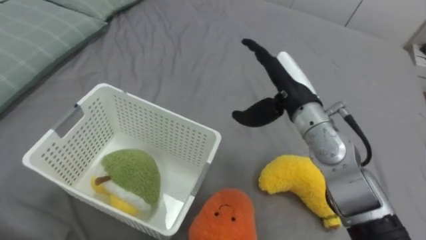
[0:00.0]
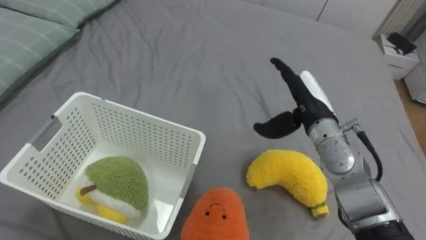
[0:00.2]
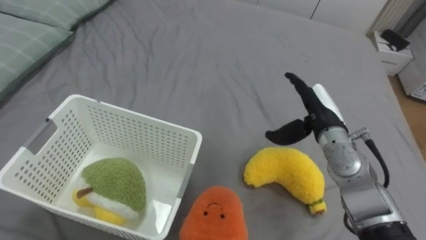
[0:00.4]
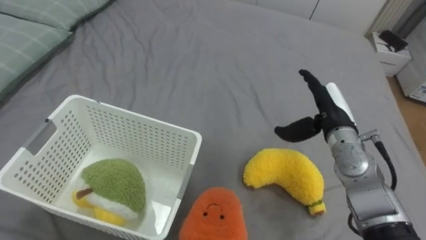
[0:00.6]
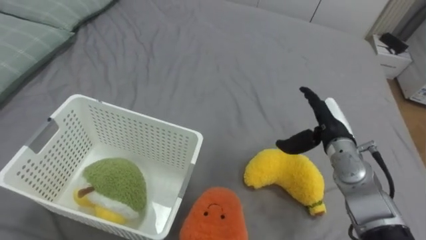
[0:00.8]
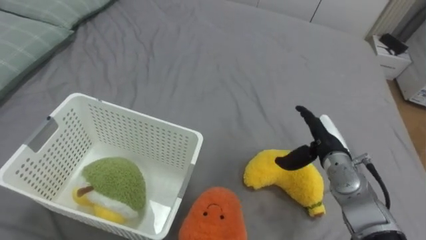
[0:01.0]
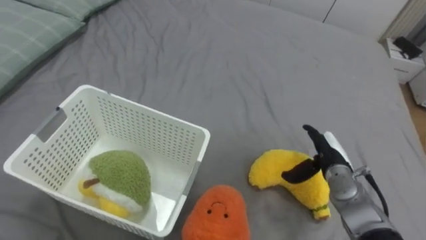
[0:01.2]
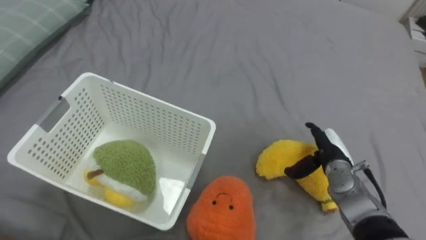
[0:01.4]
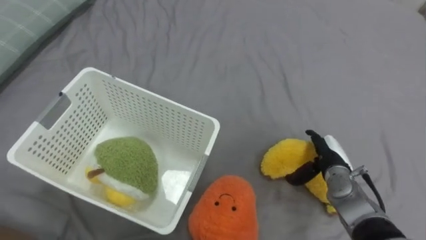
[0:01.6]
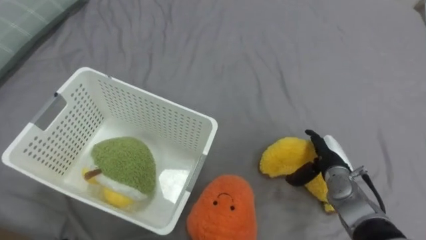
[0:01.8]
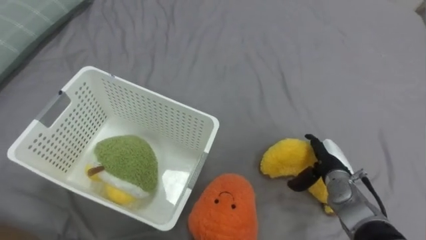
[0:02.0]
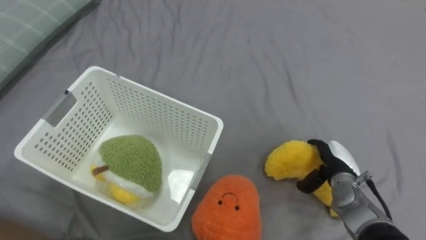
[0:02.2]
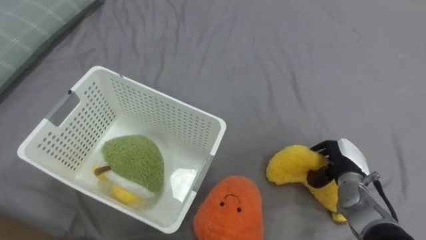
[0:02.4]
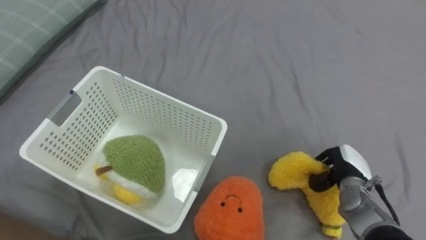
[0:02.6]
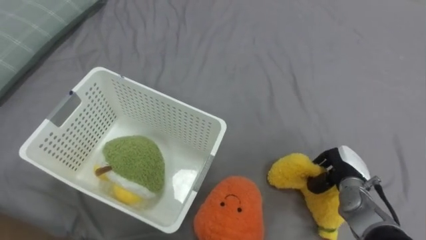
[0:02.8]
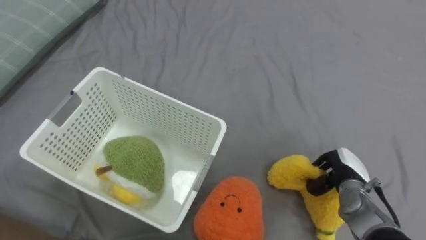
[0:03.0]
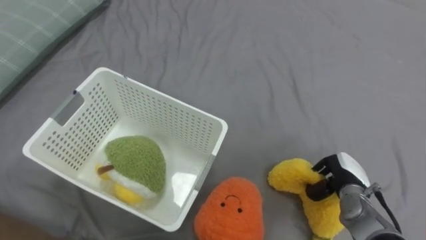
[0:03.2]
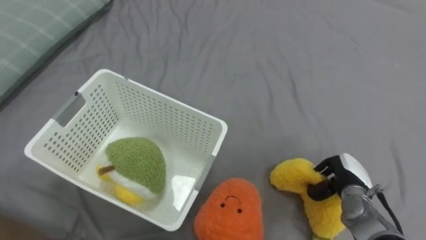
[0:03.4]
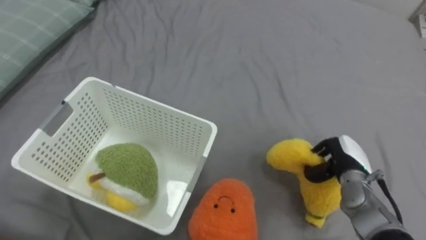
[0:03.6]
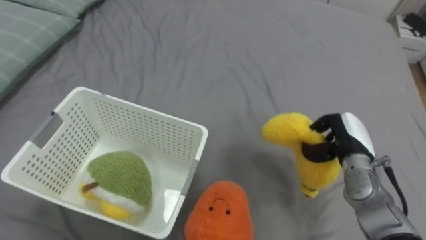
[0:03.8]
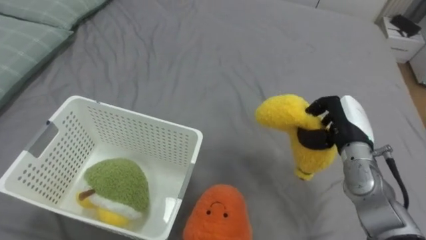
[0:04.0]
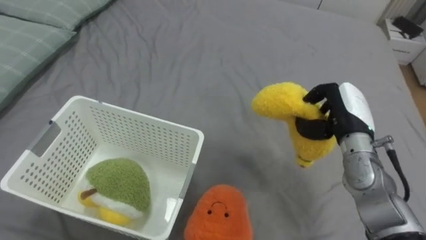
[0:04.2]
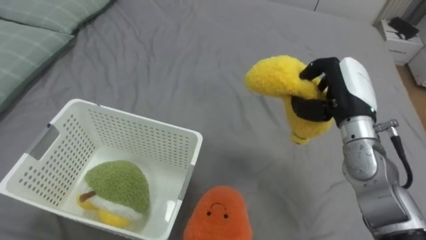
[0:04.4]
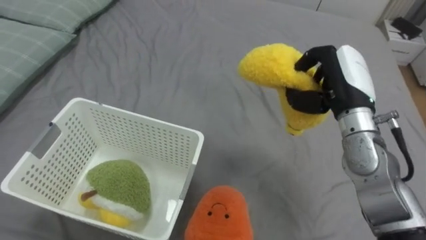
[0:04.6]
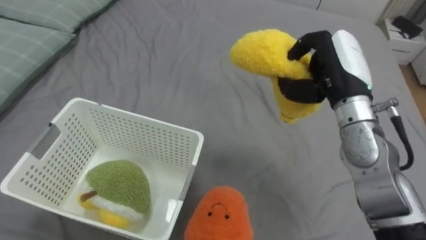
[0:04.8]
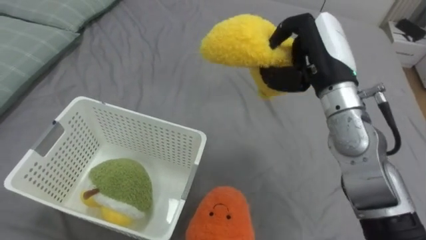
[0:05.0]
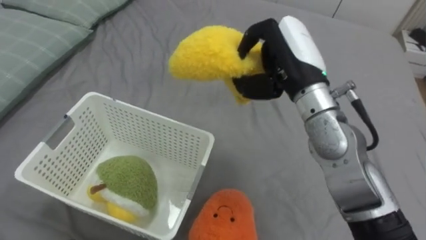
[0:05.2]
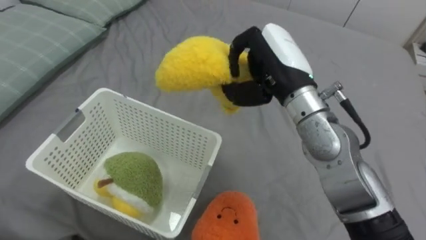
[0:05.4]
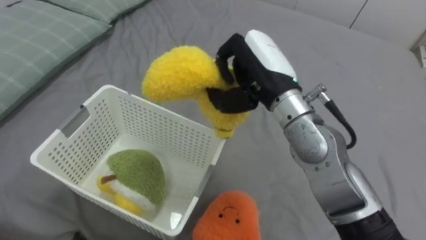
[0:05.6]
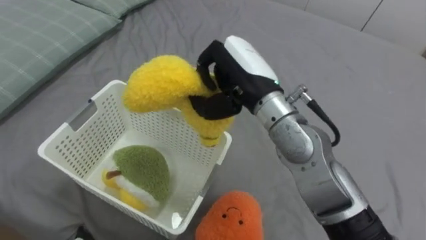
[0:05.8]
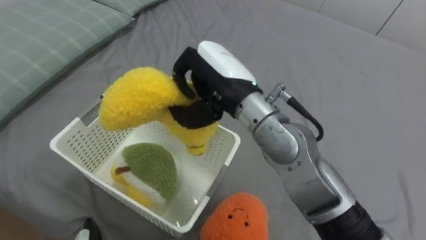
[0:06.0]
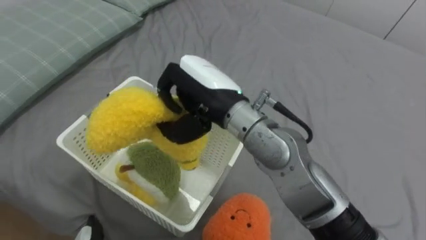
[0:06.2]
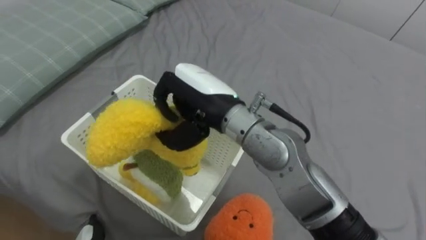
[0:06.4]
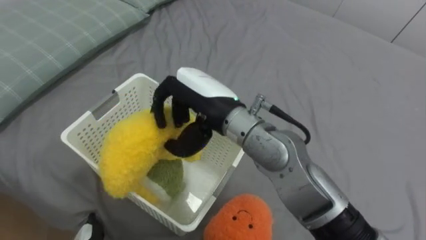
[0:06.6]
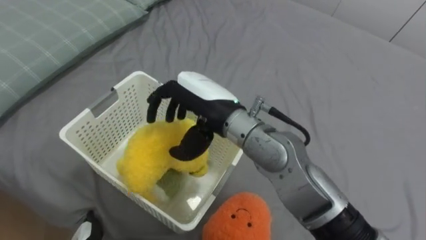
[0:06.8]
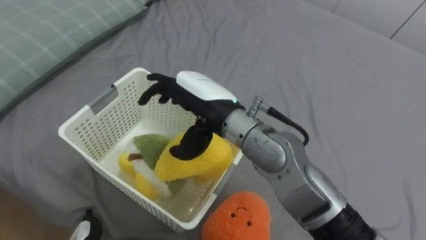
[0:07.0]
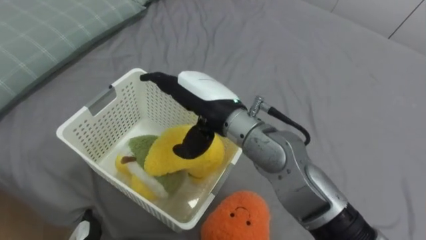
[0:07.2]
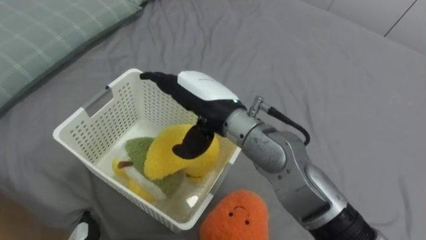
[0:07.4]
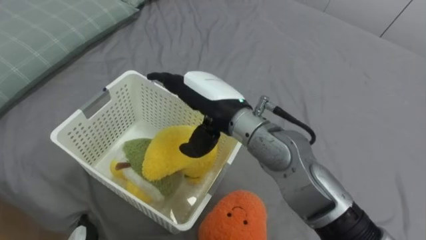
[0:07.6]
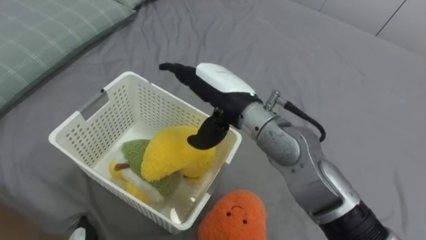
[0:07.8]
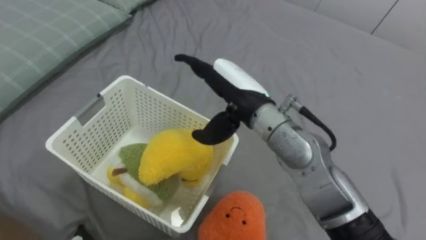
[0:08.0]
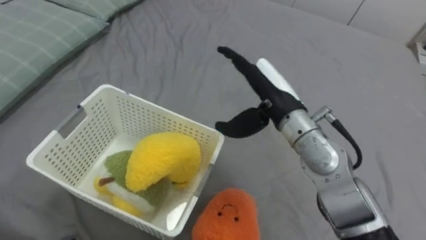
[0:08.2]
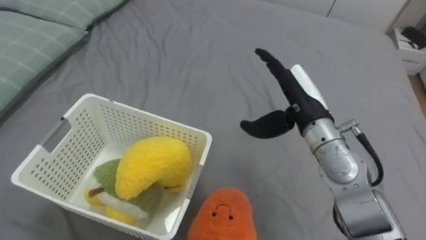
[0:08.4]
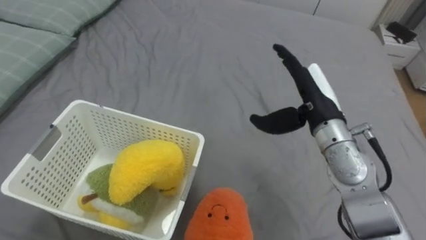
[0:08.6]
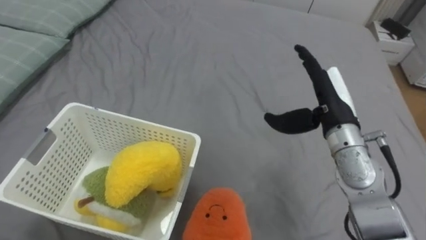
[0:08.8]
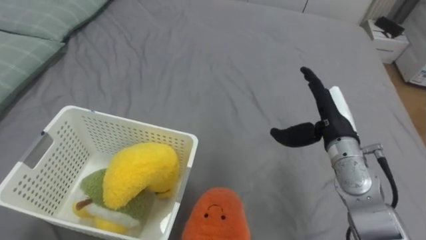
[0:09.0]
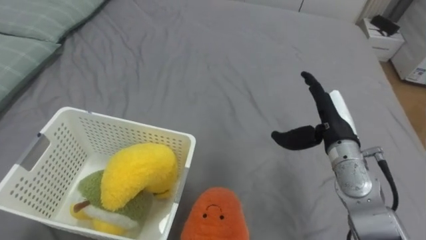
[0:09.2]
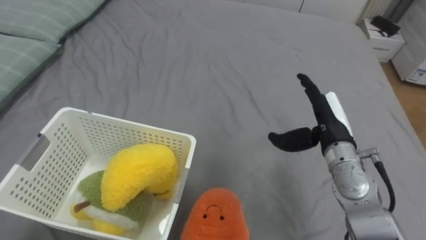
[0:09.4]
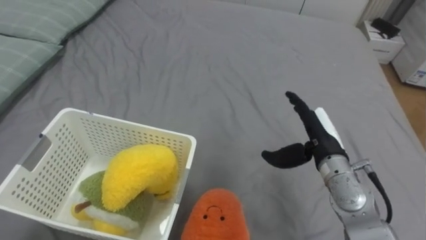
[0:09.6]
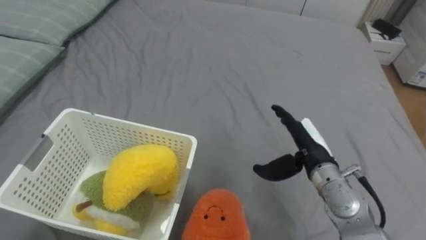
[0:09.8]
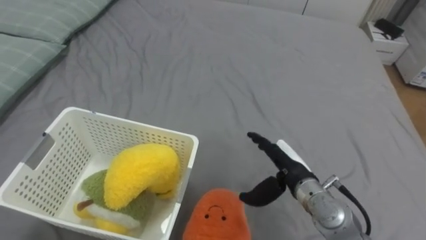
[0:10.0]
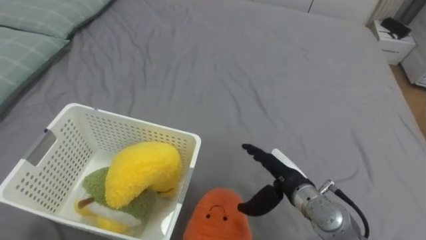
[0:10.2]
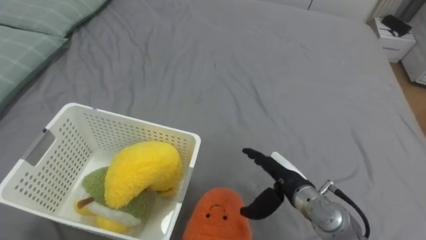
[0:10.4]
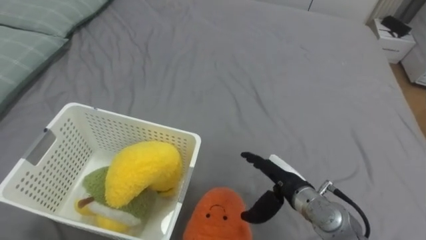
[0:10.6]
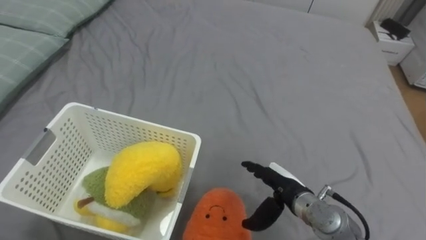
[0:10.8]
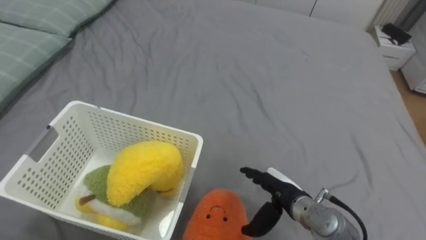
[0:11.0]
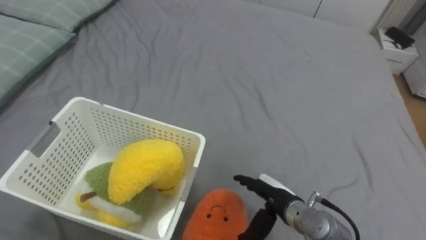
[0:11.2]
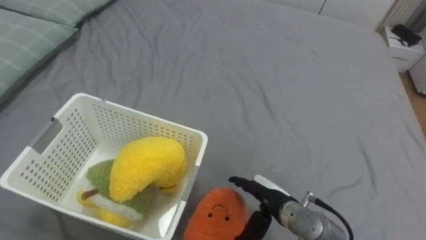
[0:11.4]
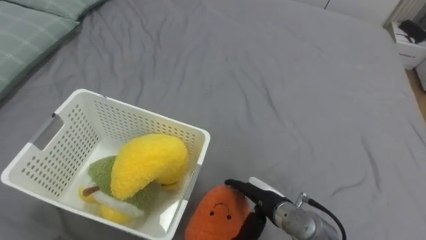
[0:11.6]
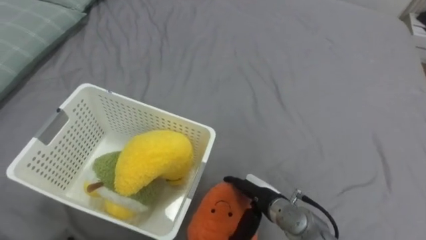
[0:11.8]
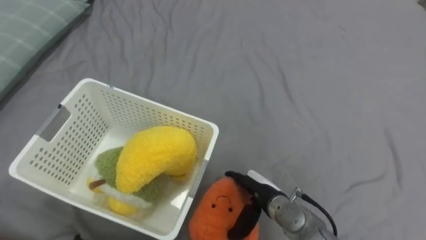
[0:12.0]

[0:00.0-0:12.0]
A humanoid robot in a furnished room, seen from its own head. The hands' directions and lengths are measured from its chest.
Task of the whole recording: Put the toys on the bed into the basket on the left.
0:00.0 to 0:01.6: The right hand is displaced downward and to the right by about 25 cm.
0:01.6 to 0:03.0: The right hand closes its fingers.
0:03.0 to 0:04.4: The right hand moves upward, approximately 20 cm.
0:04.4 to 0:06.0: The right hand goes roughly 20 cm to the left.
0:06.0 to 0:07.6: The right hand opens its fingers.
0:07.6 to 0:09.0: The right hand is displaced to the right by some 20 cm.
0:09.0 to 0:10.4: The right hand shifts about 15 cm downward, to the left and backward.
0:10.4 to 0:12.0: The right hand shifts some 5 cm downward.

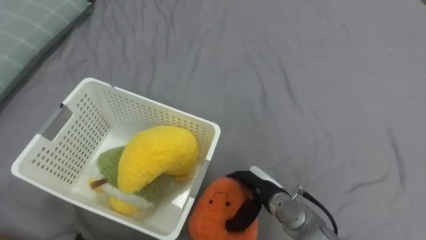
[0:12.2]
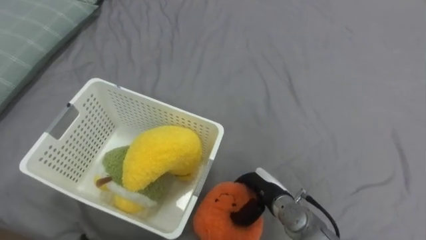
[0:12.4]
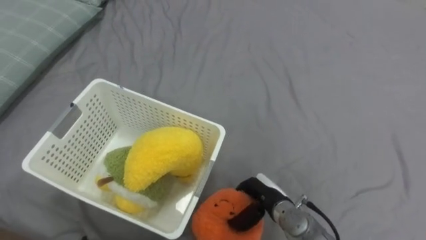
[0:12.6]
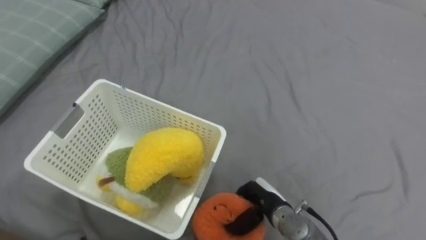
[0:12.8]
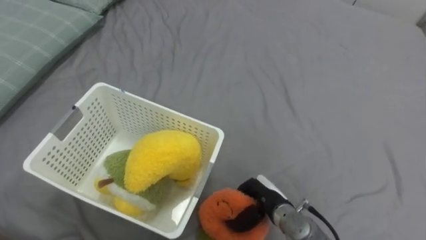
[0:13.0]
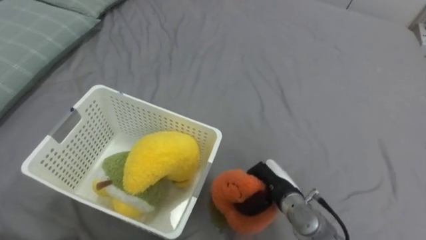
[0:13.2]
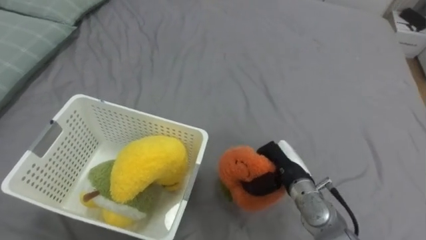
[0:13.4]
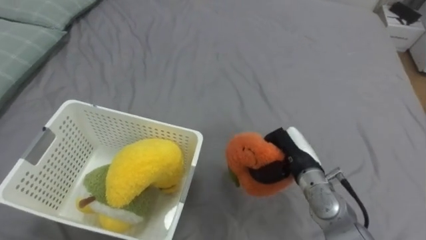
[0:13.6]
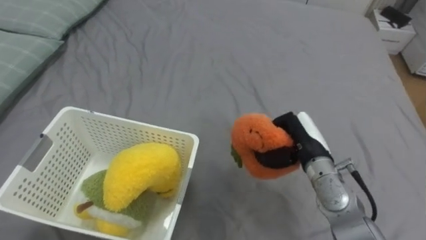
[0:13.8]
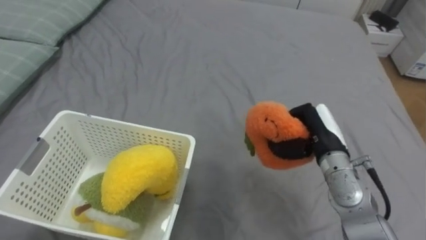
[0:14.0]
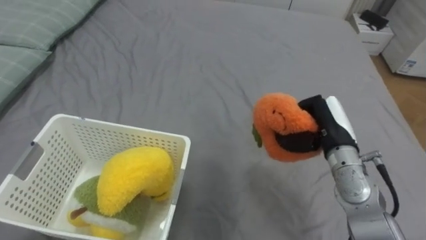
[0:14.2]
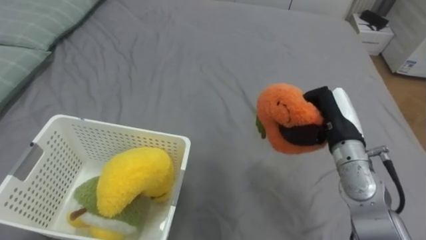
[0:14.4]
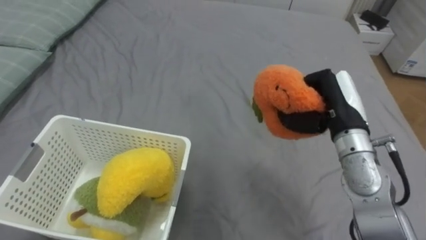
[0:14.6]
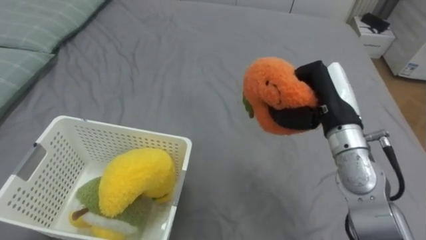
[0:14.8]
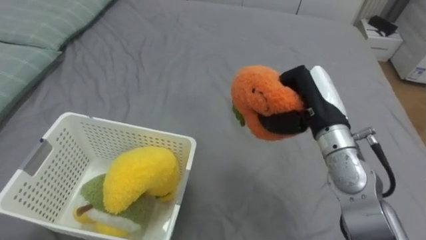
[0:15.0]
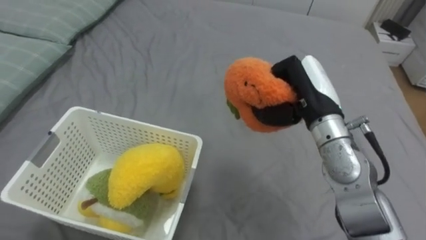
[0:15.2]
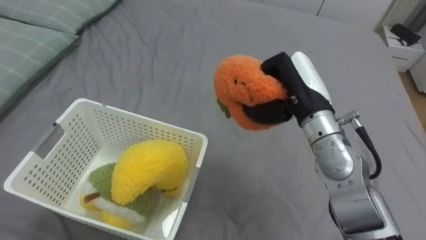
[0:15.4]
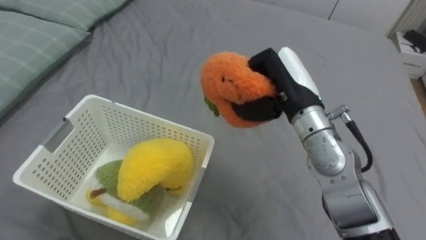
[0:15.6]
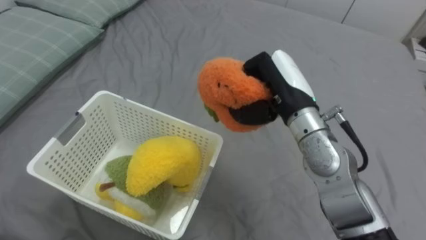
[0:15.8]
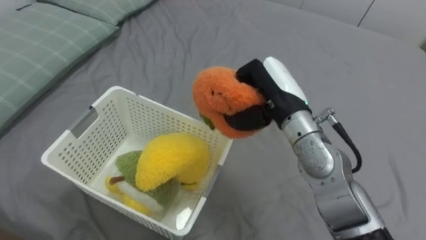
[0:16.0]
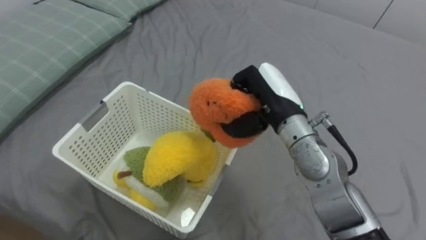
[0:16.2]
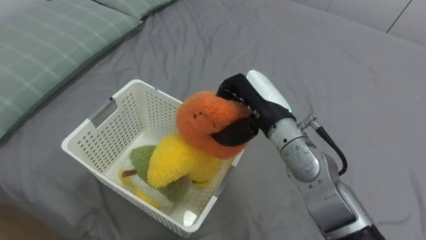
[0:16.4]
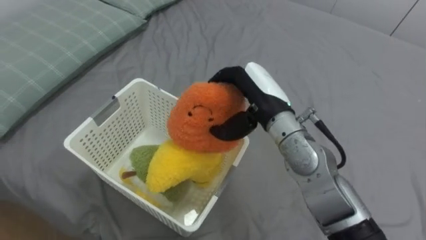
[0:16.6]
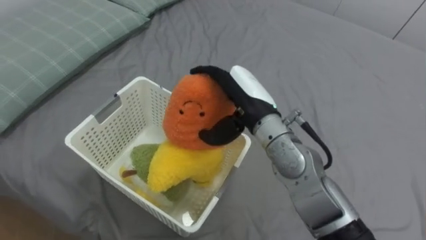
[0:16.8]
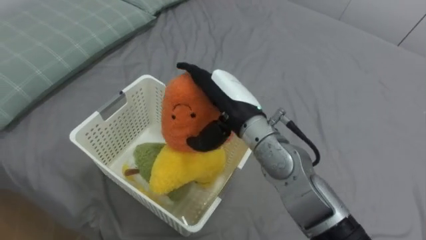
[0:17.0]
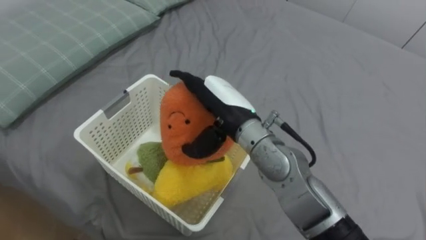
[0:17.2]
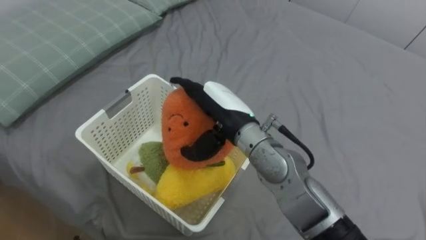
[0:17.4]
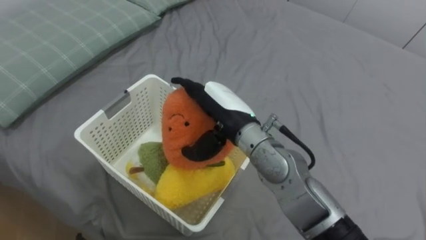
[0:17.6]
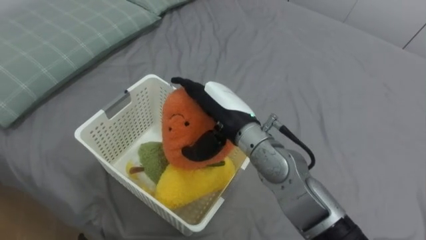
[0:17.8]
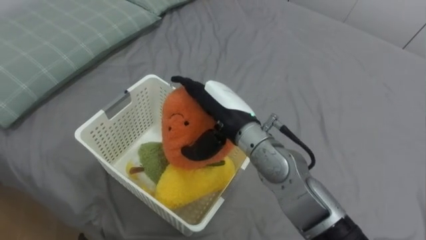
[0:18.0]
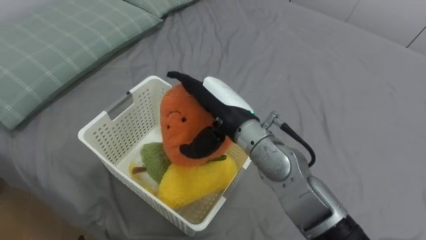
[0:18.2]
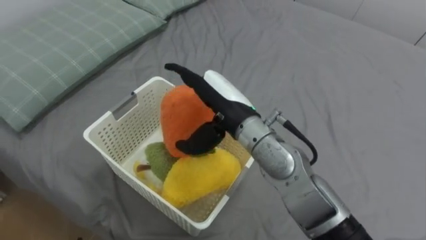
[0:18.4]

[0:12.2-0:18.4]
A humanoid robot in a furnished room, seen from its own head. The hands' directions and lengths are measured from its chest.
Task of the whole recording: Put the toys on the bed into the basket on the left.
0:12.2 to 0:13.8: The right hand goes approximately 15 cm upward, to the right and forward, and closes.
0:13.8 to 0:15.4: The right hand goes approximately 10 cm upward.
0:15.4 to 0:16.8: The right hand goes roughly 10 cm to the left, and opens.
